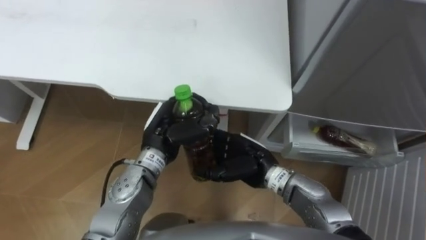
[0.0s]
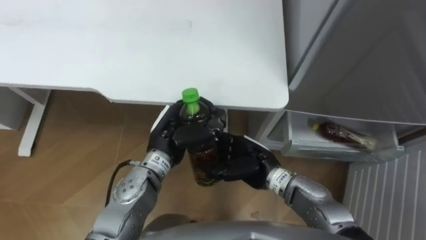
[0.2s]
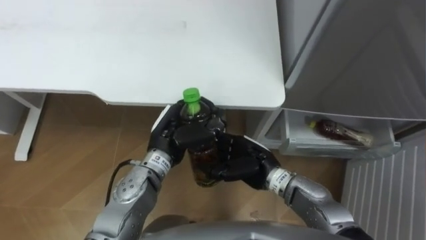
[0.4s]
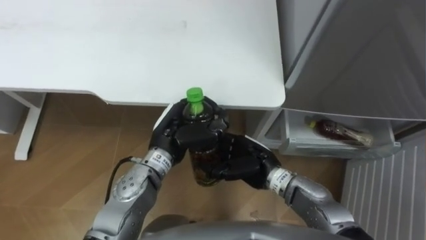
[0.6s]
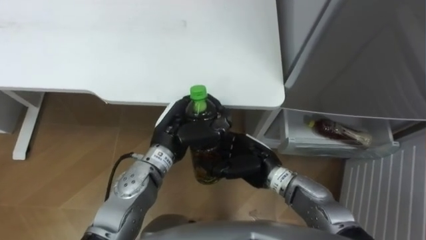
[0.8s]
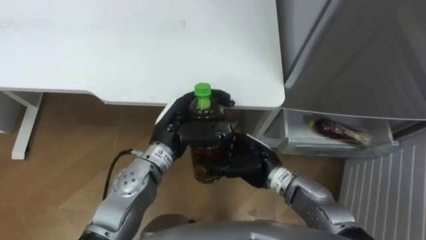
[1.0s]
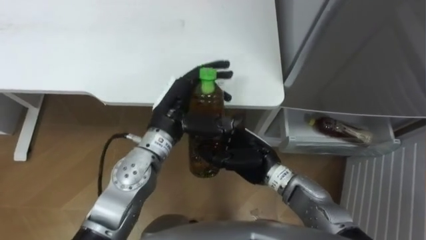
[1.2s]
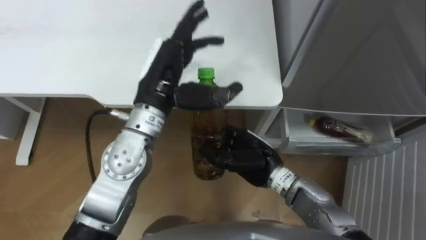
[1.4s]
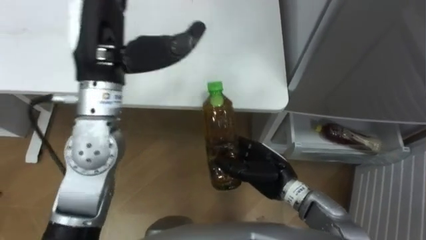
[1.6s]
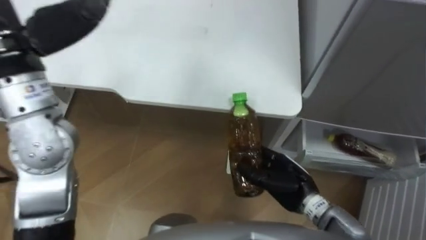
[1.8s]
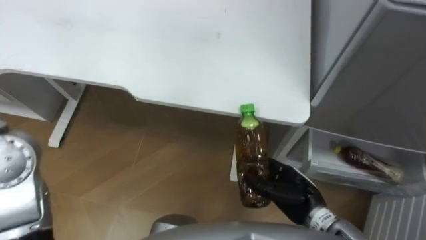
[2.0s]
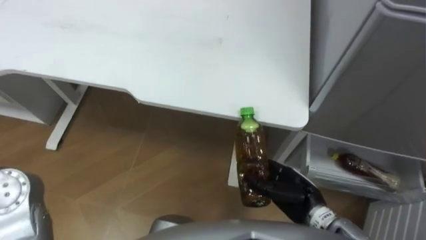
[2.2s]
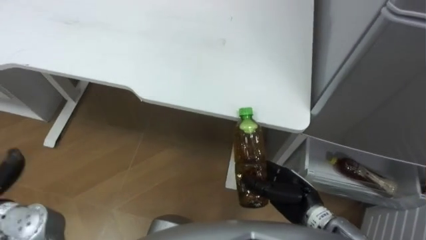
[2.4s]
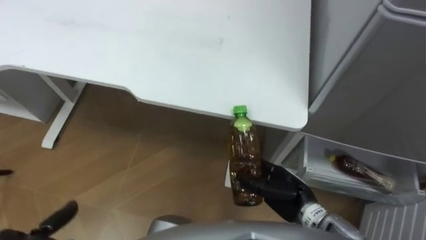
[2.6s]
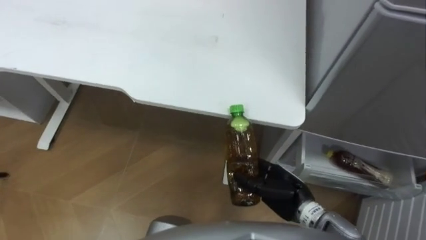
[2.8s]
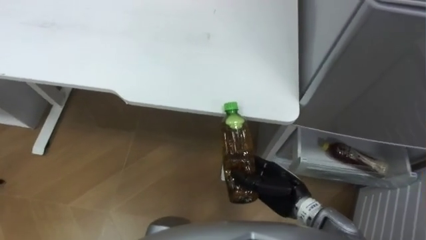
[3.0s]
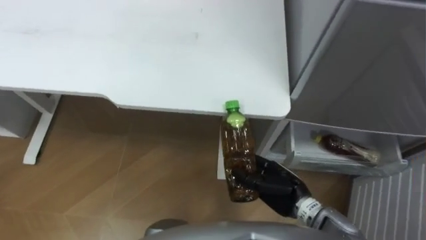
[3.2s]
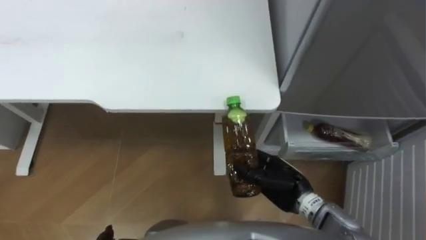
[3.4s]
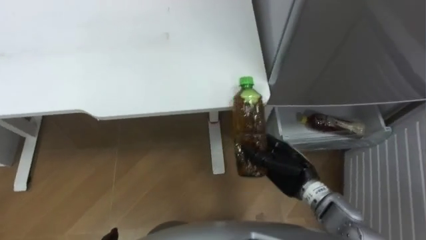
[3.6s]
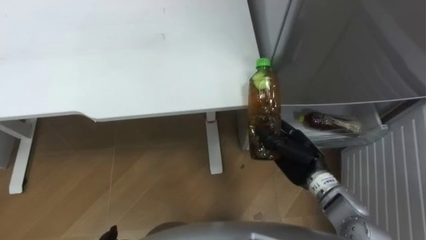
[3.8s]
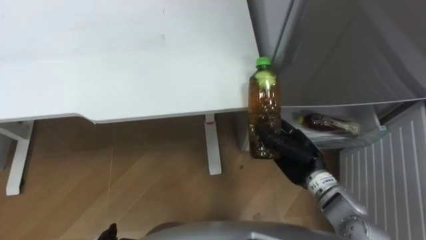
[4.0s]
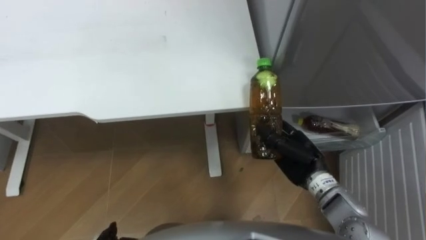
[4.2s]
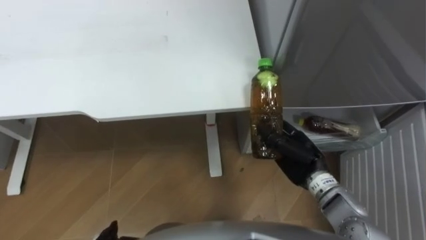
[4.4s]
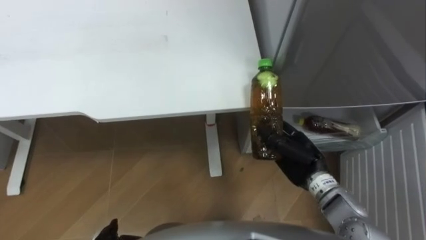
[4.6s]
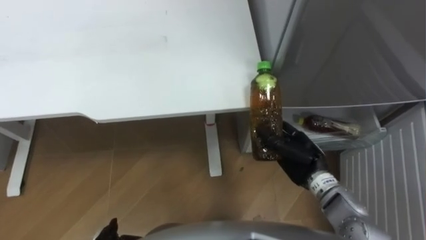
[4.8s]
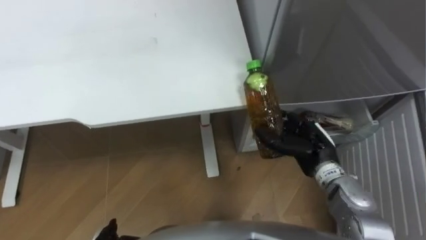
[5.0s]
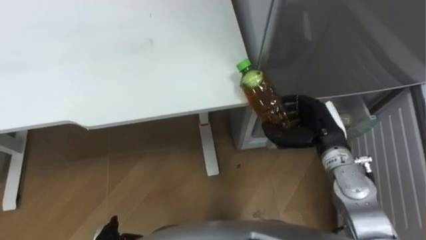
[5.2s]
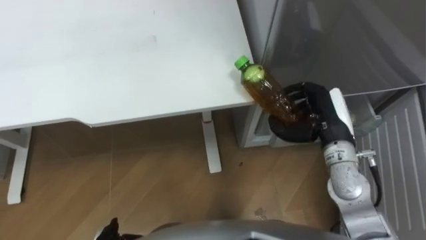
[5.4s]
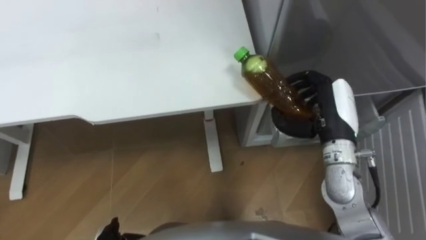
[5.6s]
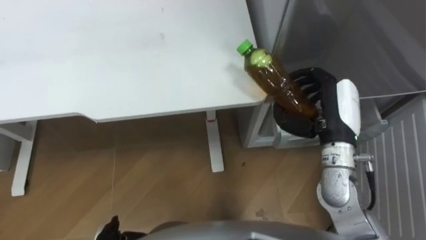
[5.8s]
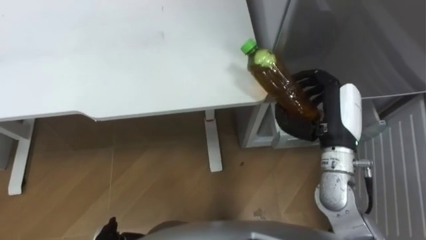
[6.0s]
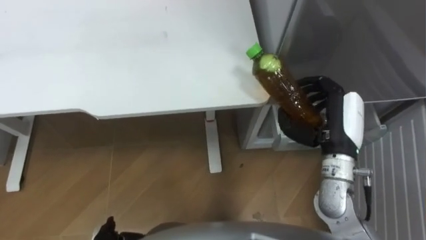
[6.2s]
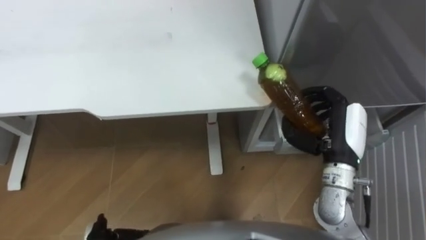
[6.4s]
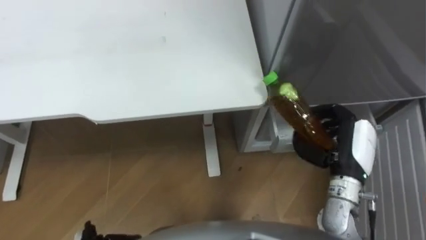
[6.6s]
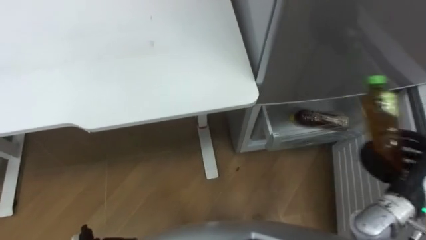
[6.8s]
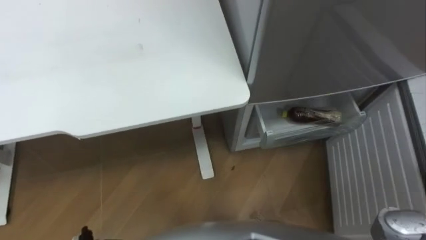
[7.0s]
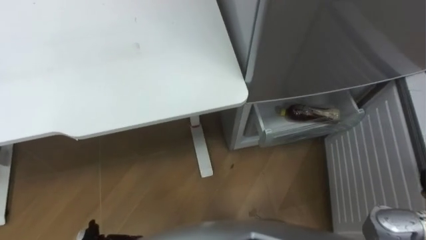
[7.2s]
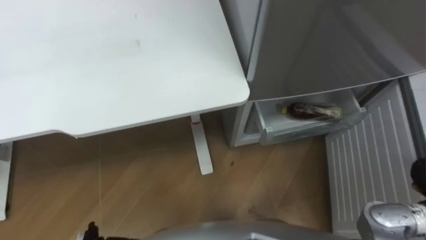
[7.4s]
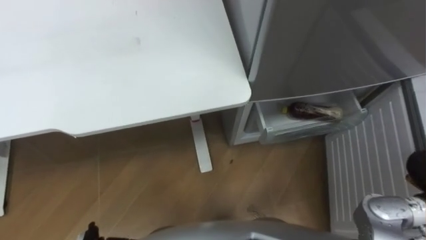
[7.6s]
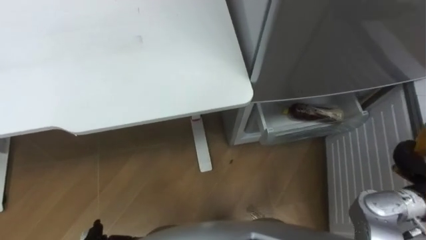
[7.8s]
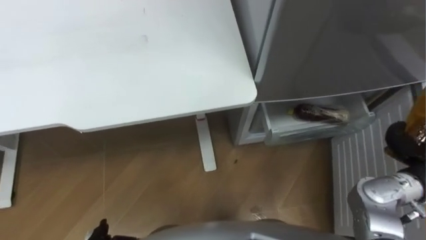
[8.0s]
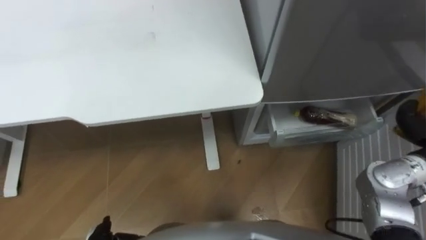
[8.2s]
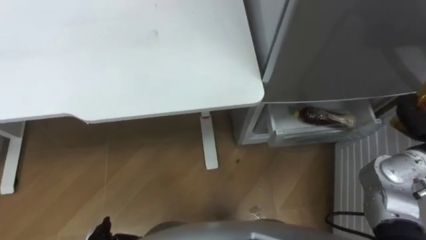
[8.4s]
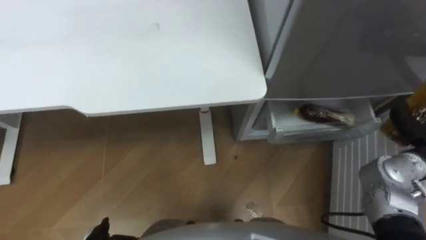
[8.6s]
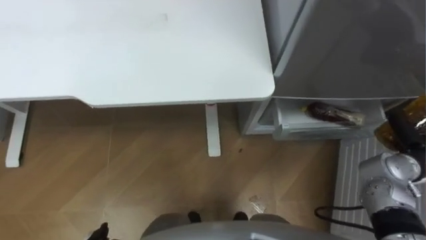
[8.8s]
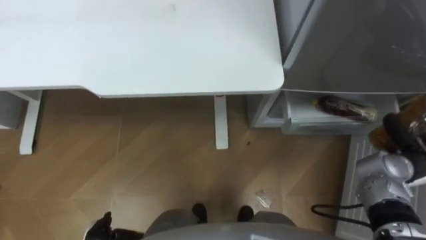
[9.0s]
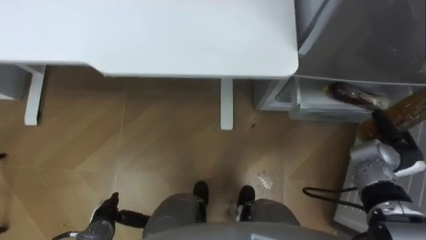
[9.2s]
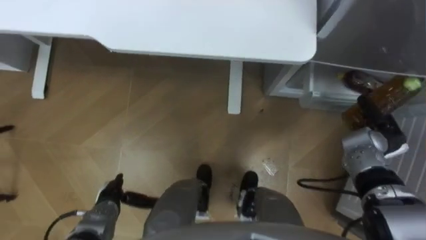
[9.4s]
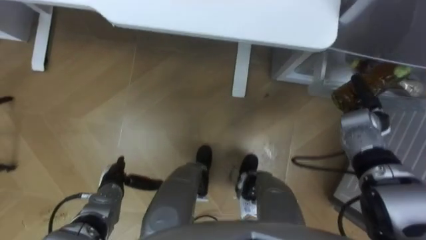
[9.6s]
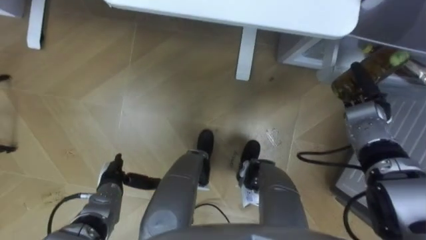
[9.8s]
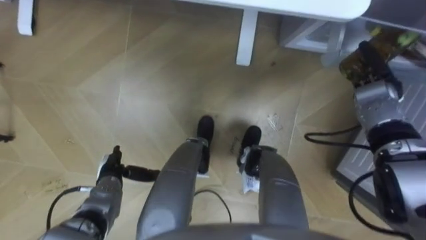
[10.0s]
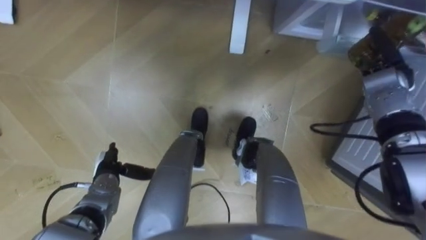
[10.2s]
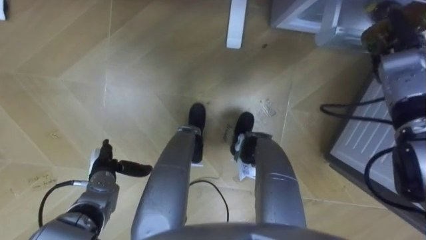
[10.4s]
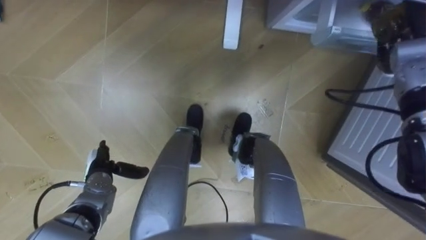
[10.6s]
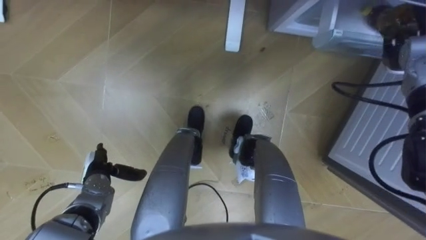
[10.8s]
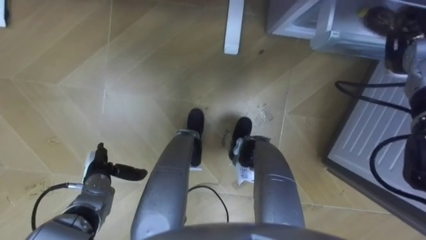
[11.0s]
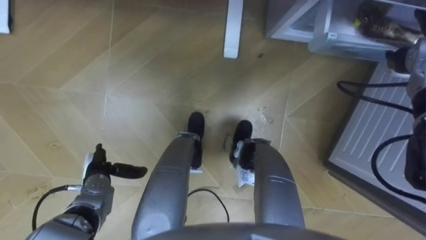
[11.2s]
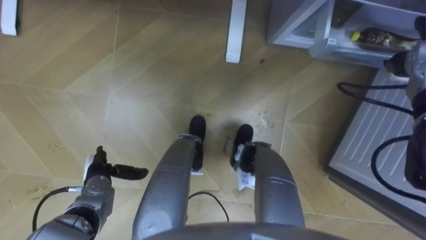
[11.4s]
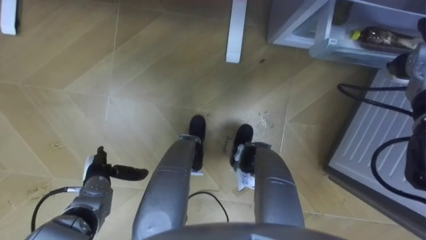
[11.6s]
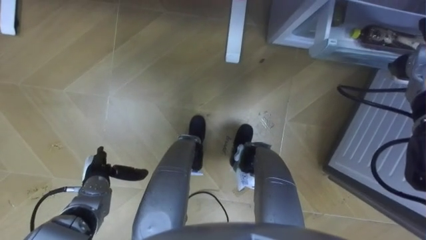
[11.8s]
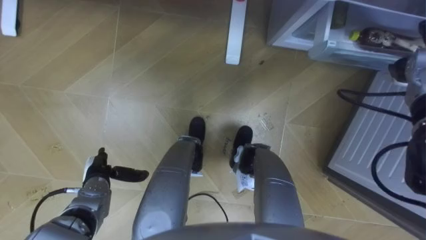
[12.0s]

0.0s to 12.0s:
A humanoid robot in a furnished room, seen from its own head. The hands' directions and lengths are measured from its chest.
Task of the whole recording: Place the drink on the table on the bottom shelf of the refrigerator, then close the drawer and the refrigerator door.
0.0s to 1.6s: The left hand goes approximately 20 cm upward, and opens up.
1.6s to 3.0s: The right hand shifts by about 5 cm.
3.0s to 4.4s: The right hand heads forward, covering roughly 5 cm.
4.4s to 6.0s: The right hand is displaced upward by about 10 cm.
9.0s to 10.4s: The right hand goes approximately 20 cm forward and upward.
10.4s to 12.0s: The right hand opens.

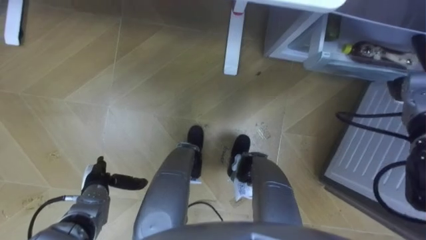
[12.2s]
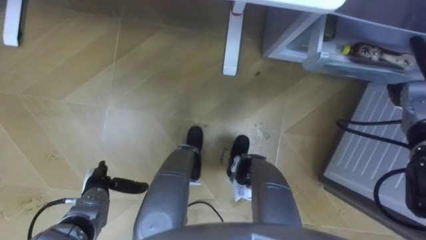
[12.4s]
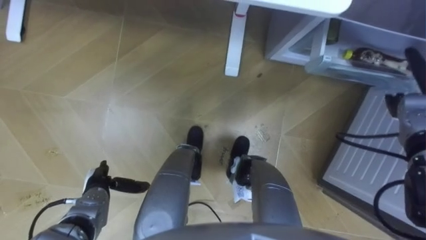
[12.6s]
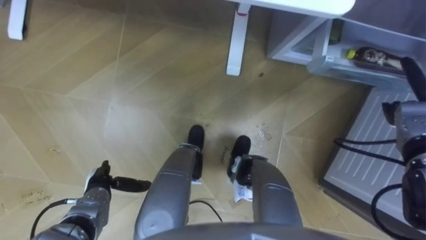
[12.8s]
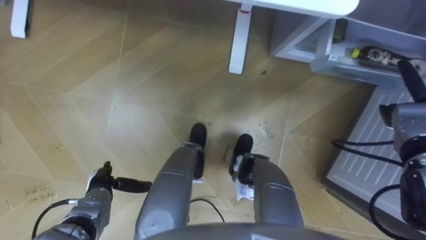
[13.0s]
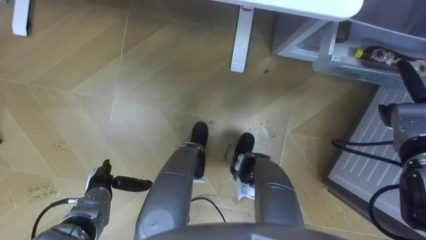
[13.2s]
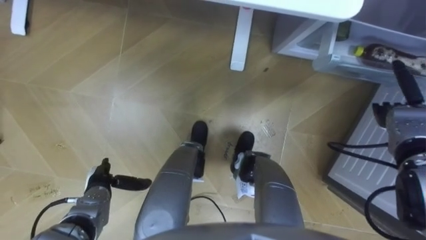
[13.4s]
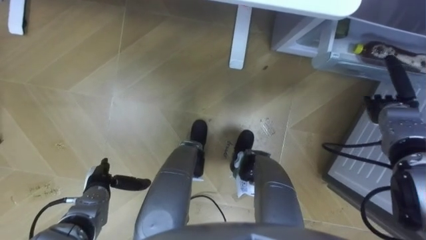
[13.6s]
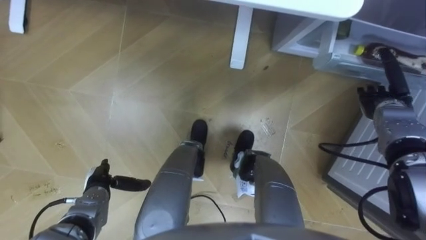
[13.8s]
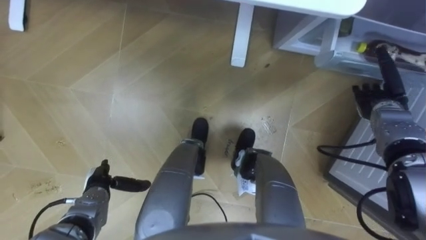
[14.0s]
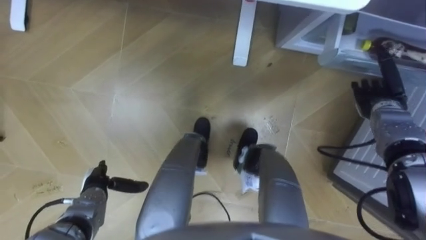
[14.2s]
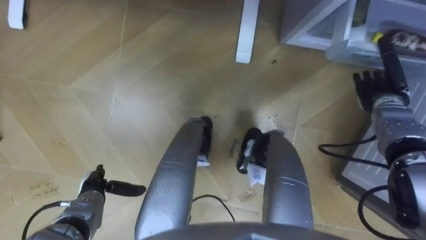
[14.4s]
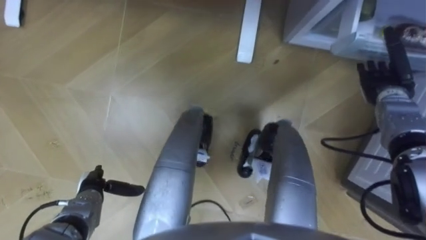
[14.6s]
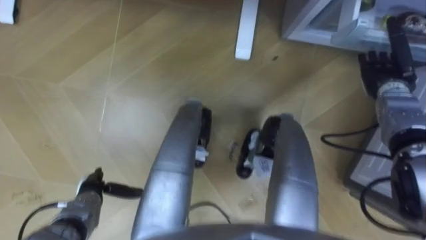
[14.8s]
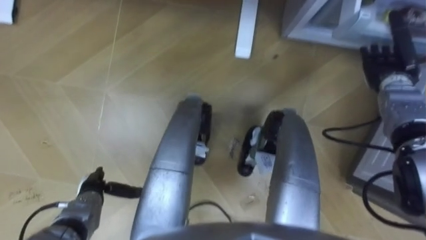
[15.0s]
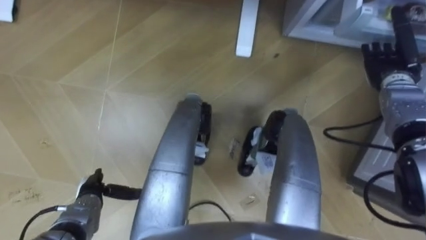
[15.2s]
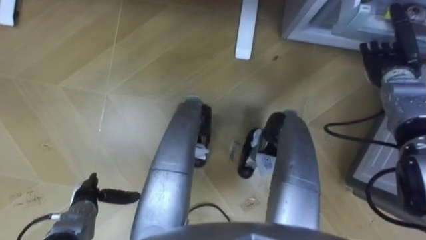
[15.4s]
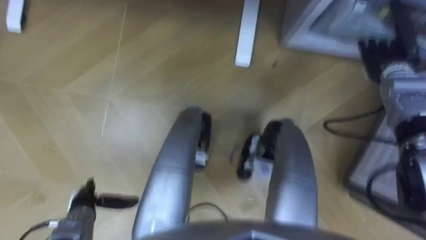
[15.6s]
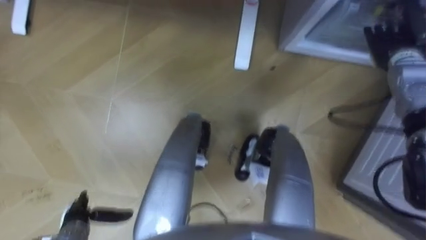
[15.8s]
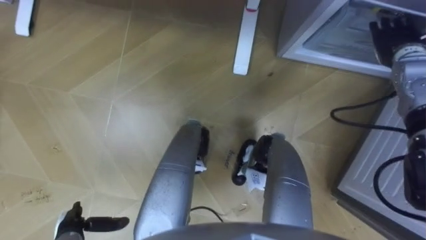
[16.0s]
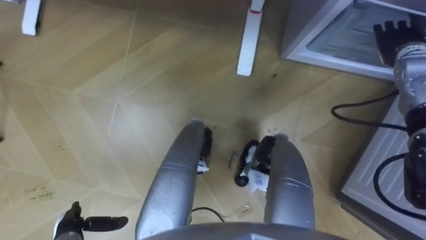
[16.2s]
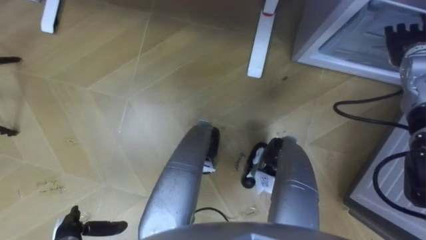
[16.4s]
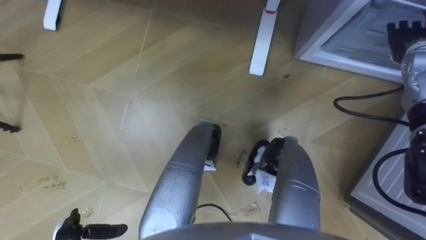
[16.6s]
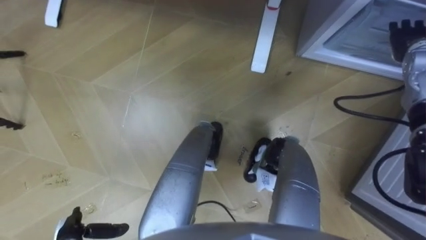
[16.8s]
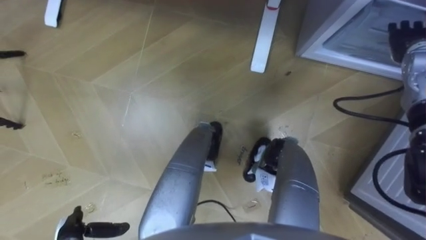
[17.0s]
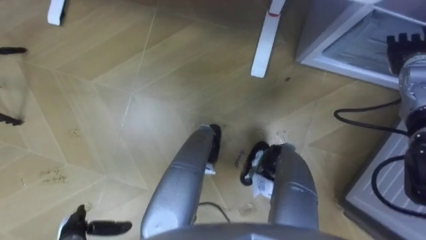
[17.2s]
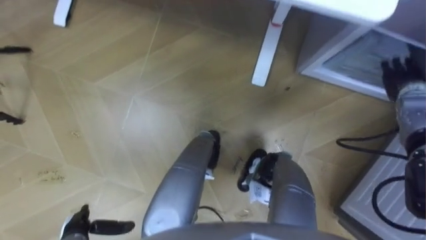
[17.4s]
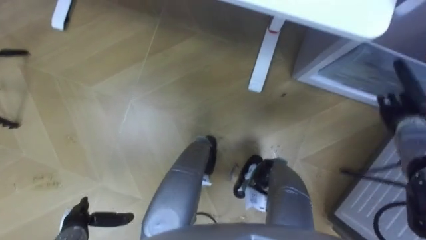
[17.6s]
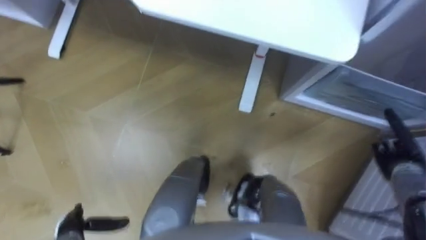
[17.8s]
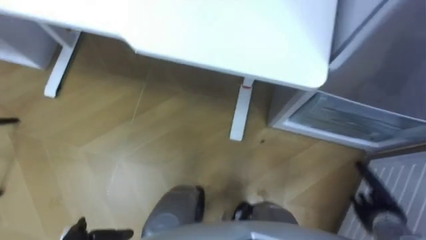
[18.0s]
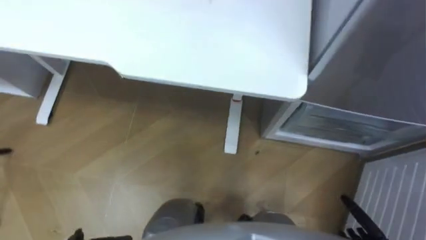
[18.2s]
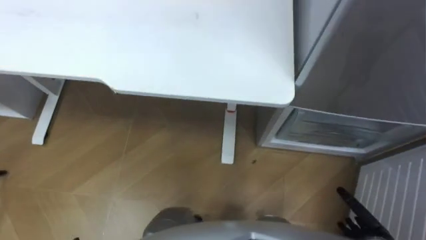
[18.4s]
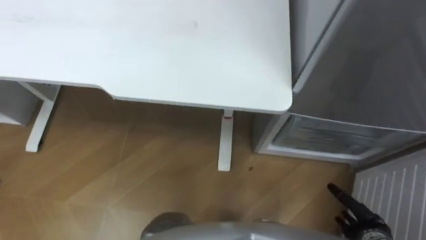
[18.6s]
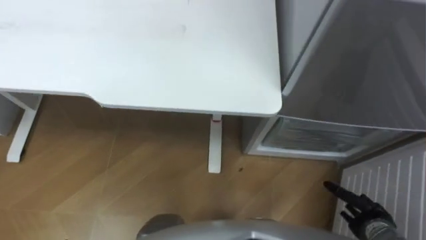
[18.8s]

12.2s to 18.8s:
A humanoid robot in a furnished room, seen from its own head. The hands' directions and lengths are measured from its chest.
Task of the whole recording: Place the drink on the table on the bottom shelf of the refrigerator, then close the drawer and the refrigerator door.
12.2s to 13.8s: The right hand goes about 5 cm downward.
13.8s to 15.4s: The right hand heads upward and forward, covering approximately 10 cm.
